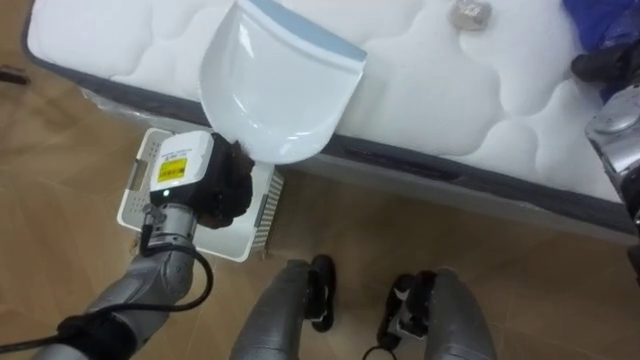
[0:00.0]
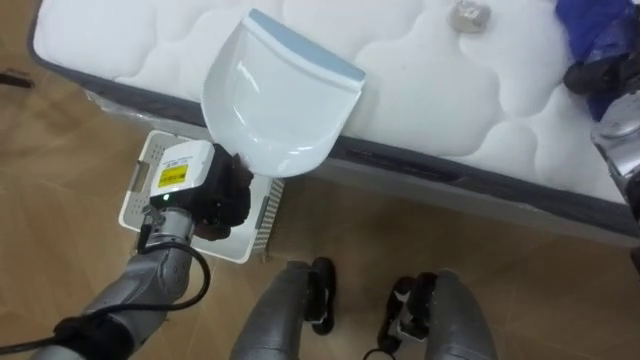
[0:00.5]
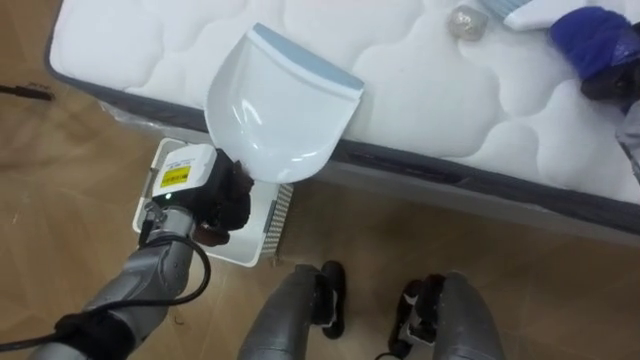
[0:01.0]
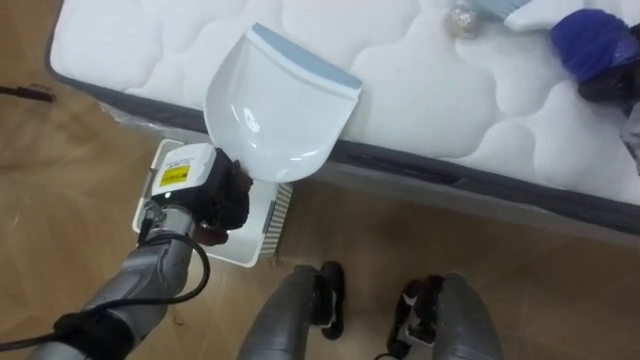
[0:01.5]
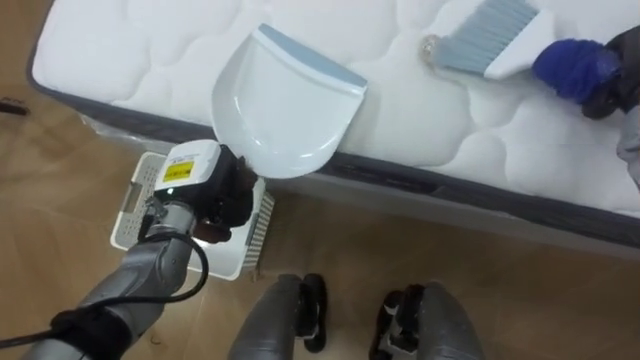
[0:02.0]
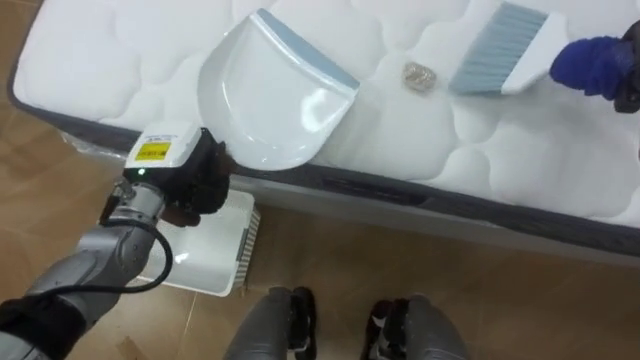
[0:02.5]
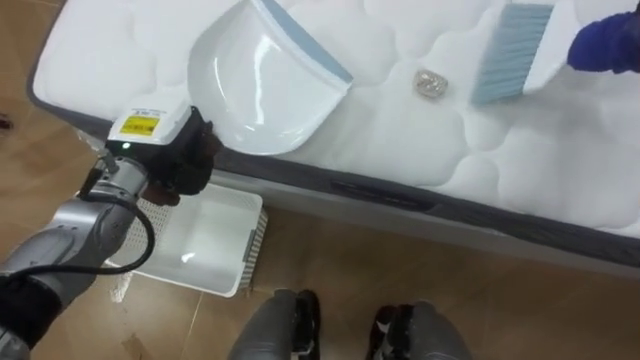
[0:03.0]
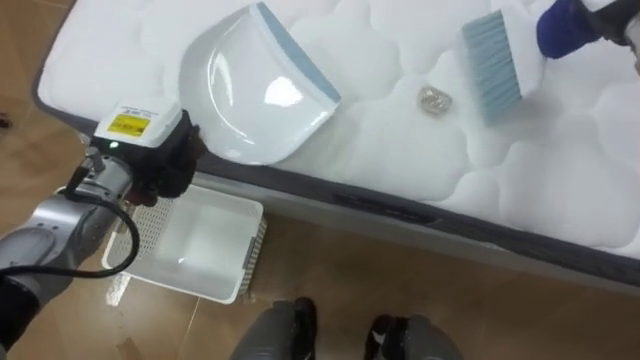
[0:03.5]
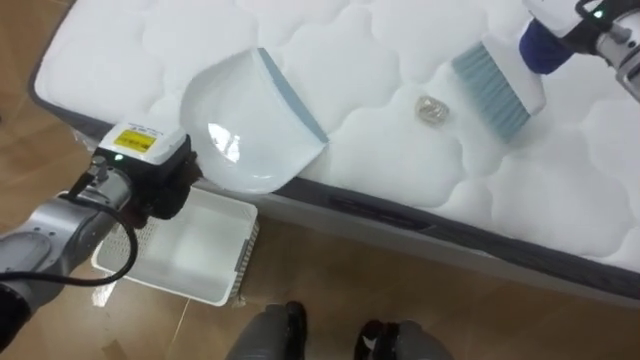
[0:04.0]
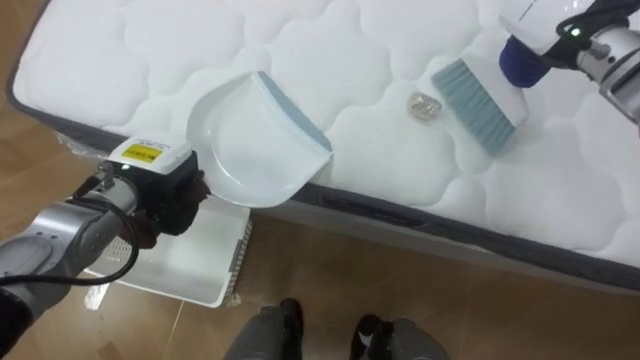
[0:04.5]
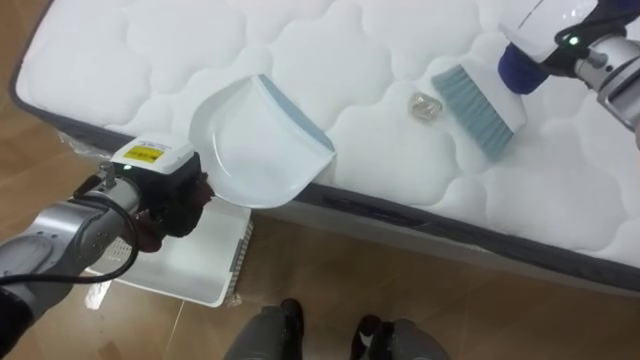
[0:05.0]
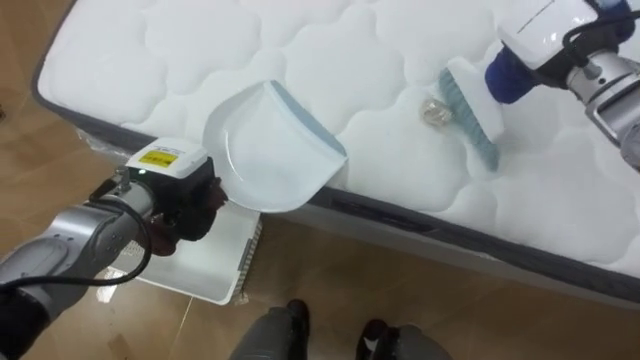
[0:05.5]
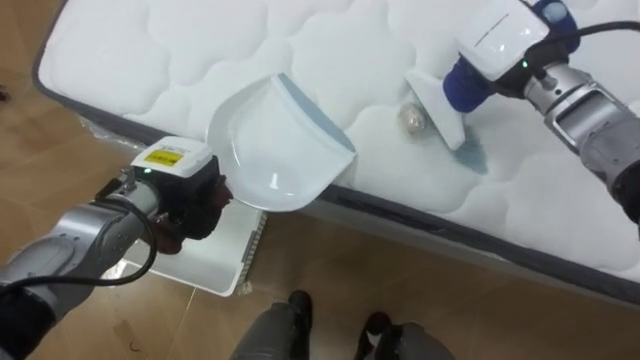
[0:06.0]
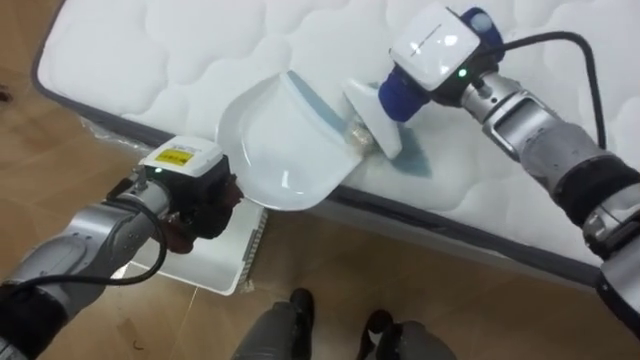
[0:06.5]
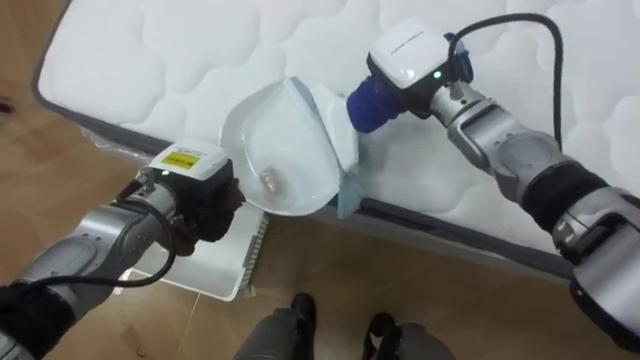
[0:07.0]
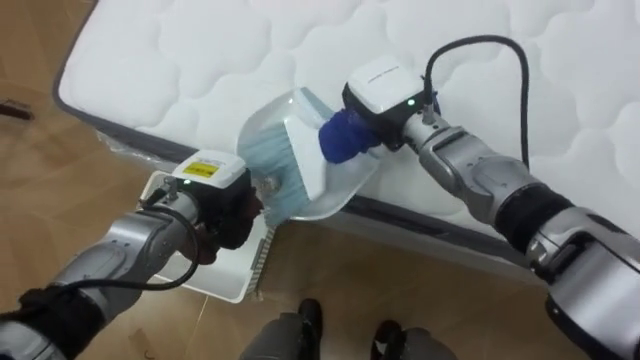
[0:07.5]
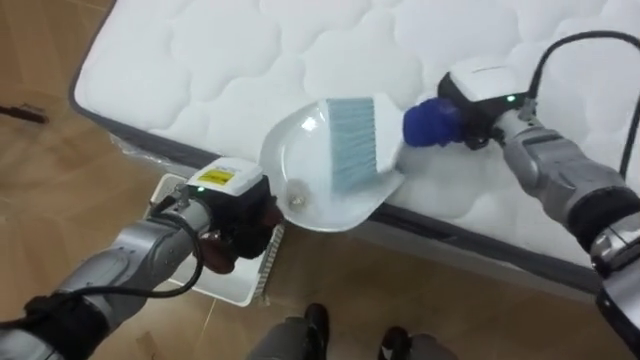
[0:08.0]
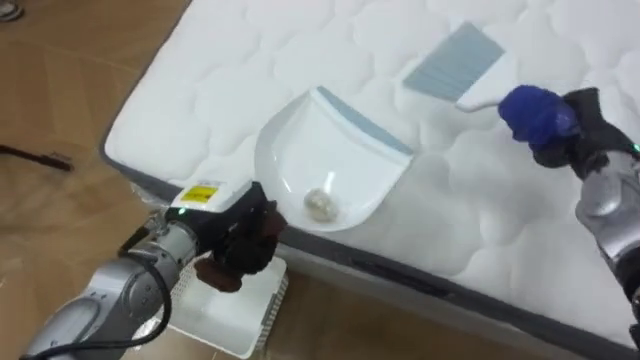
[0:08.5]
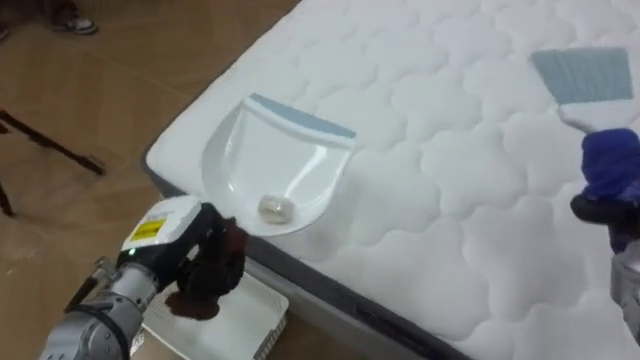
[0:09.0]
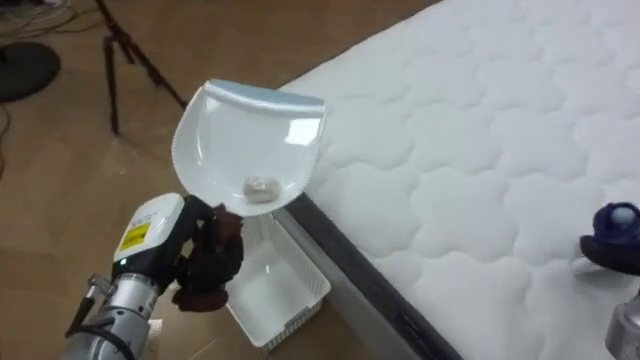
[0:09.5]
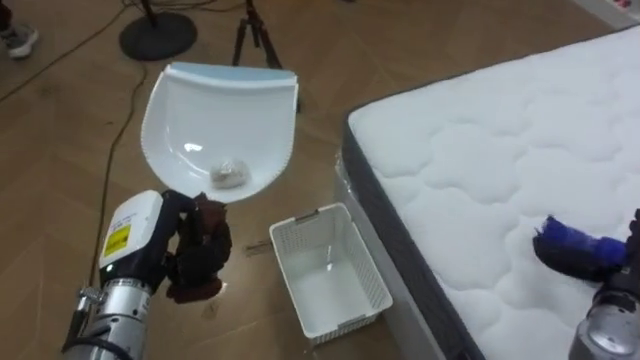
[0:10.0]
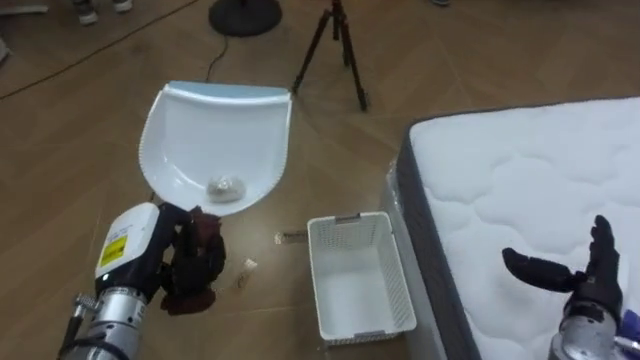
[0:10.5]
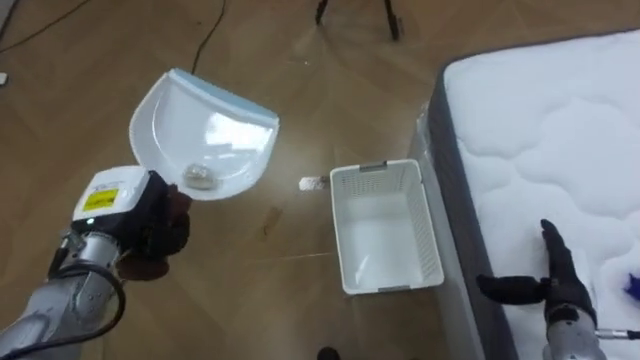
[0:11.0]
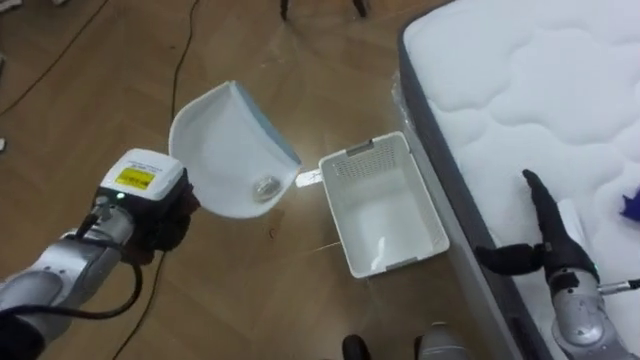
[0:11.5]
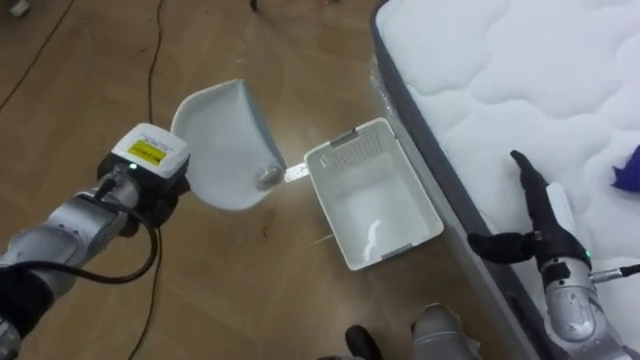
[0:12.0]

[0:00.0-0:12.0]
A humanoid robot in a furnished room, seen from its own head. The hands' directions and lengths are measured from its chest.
Task of the whole recording: Pick up the brush on your right and the dustpan on your left. Use the brush to sweep the crumpled paper on the bed into the dustpan, then turn left and empty it into the basket.
0:02.0 to 0:04.0: The left hand shifts some 5 cm to the left.
0:06.0 to 0:08.0: The left hand moves to the right, roughly 5 cm; the right hand shifts approximately 5 cm downward, and reaches about 15 cm to the left, then returns.
0:08.0 to 0:10.0: The robot faces about 50 degrees further to its left. The left hand goes about 10 cm to the left and backward.
0:10.0 to 0:12.0: The left hand travels forward by some 10 cm; the right hand goes approximately 10 cm to the left and forward.

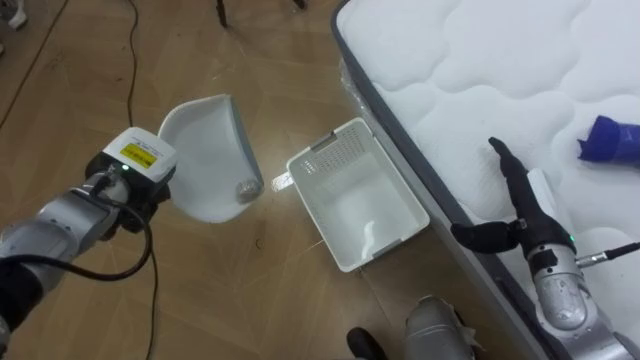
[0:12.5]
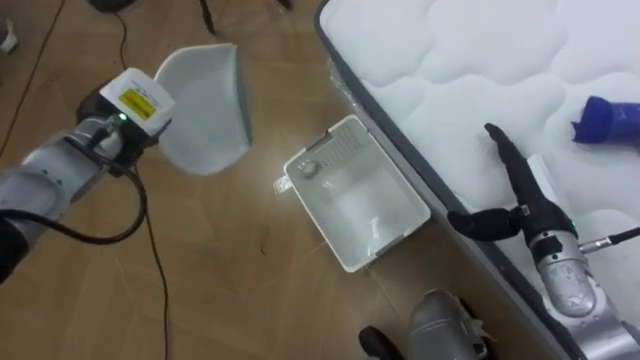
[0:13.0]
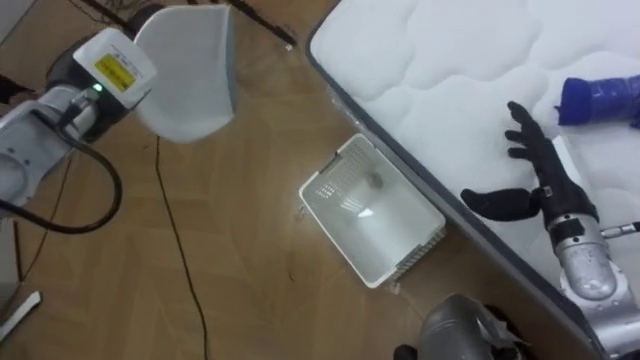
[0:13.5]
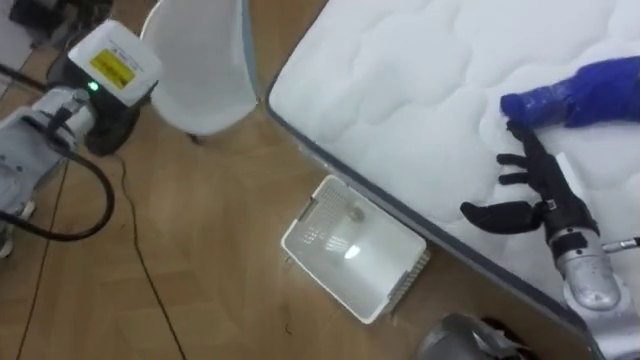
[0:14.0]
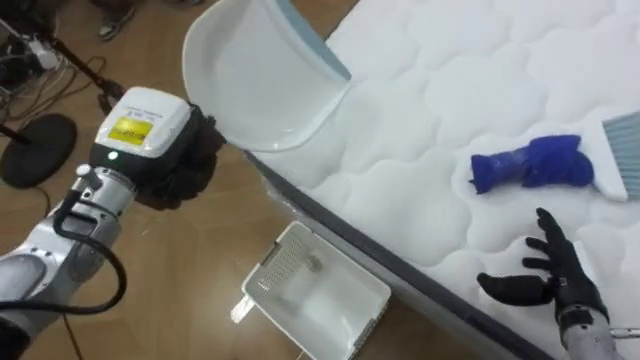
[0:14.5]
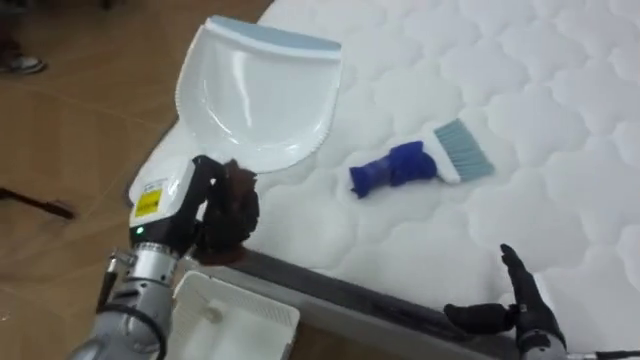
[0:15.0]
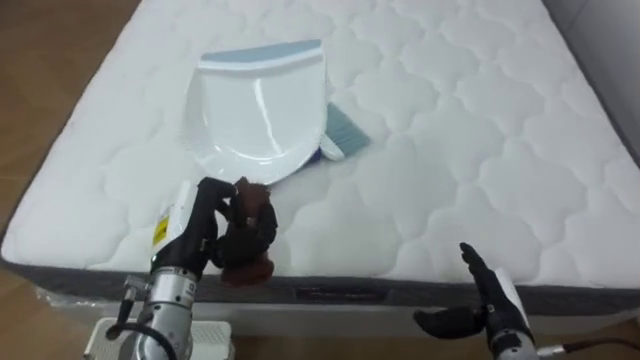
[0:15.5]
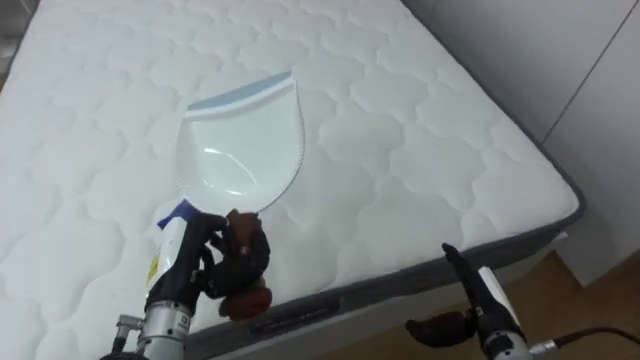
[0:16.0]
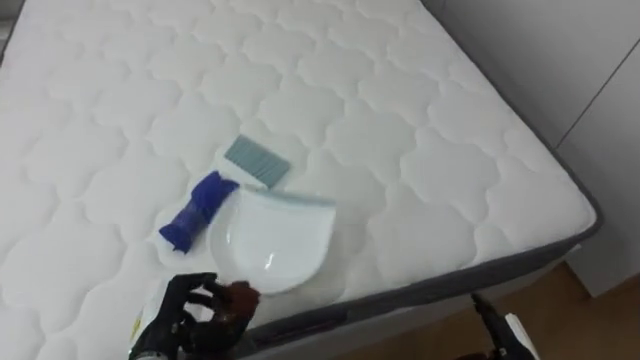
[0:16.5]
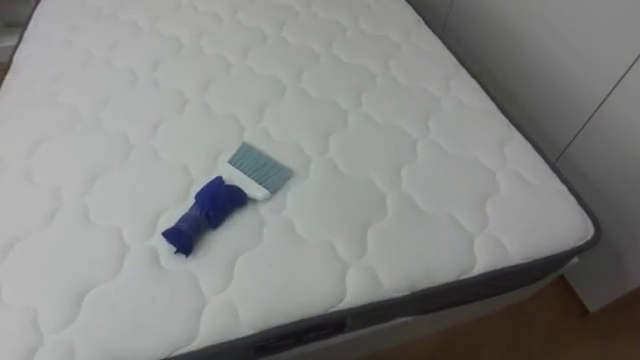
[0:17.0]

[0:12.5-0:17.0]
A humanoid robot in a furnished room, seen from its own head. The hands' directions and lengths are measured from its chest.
Task of the whole recording: Pick up the brush on your right and the dustpan on your left. Use the brush to sweep the crumpled paper on the bed into the dustpan, then turn left and empty it into the basket.
0:12.5 to 0:14.5: The robot faces approximately 30 degrees further to its right. The left hand goes about 10 cm upward; the right hand shifts roughly 10 cm backward and downward.
0:14.5 to 0:17.0: The robot's body swings approximately 70 degrees to its right.

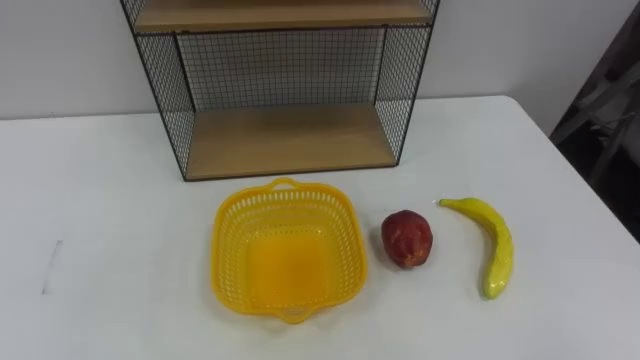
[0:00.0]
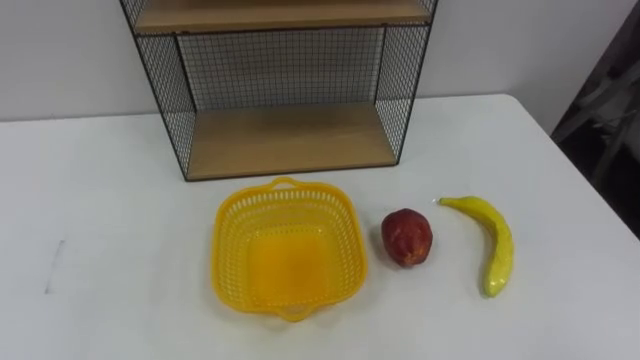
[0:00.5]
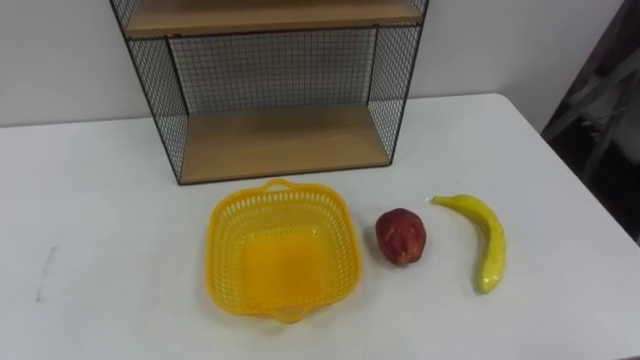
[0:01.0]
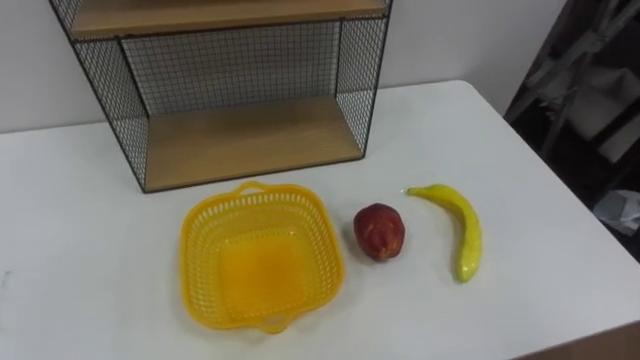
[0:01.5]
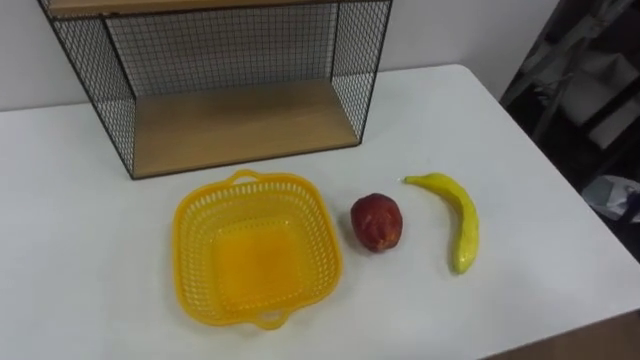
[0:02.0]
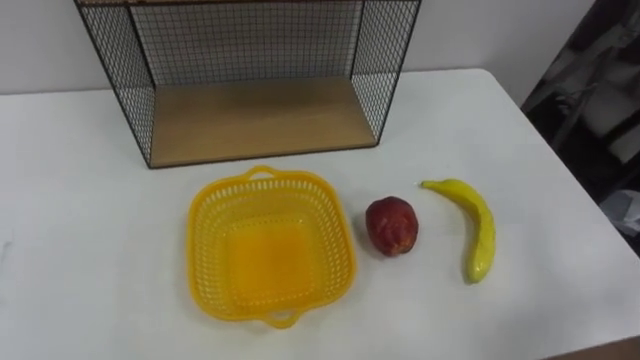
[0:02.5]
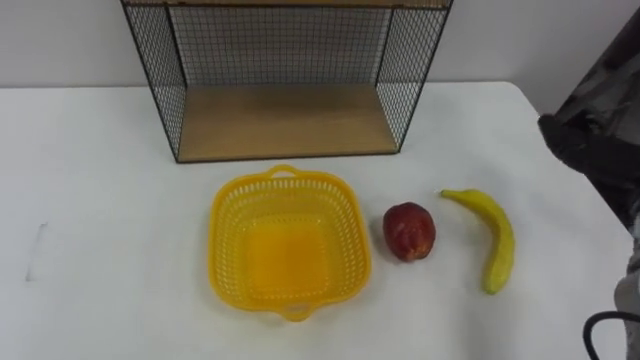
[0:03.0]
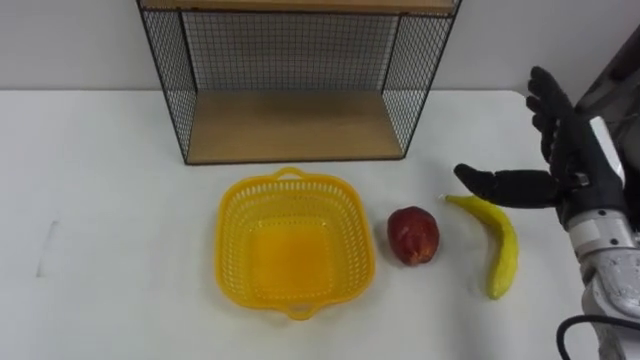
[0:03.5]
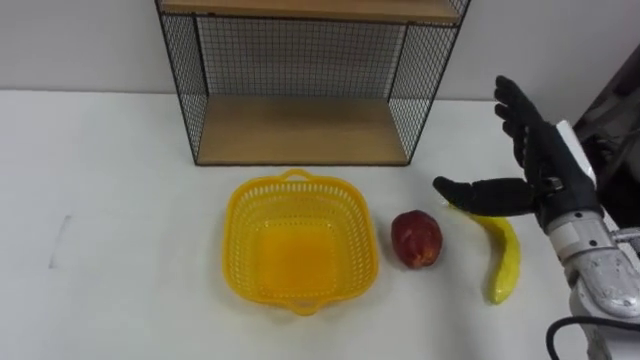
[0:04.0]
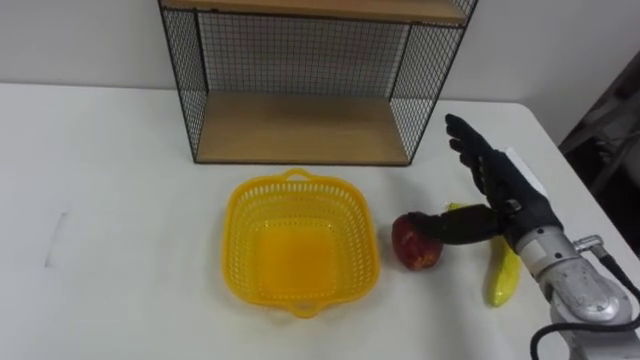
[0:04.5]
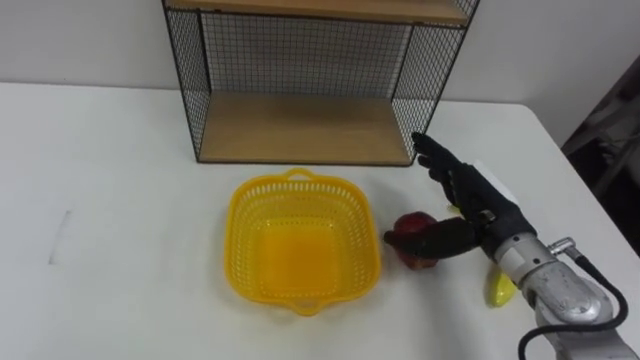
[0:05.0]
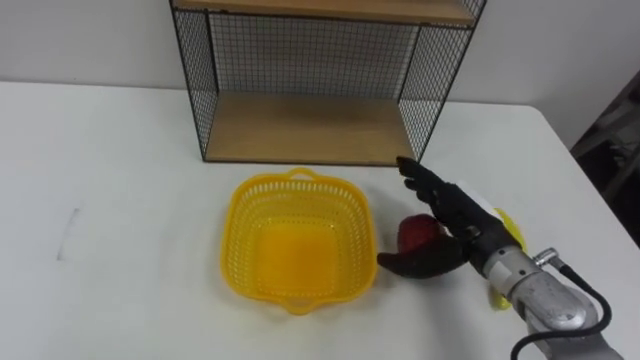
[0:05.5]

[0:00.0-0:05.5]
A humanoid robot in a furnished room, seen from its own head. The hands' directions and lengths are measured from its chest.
Task of the whole recording: Put the fruit on the table into the basket, then place the basket on the shelf.
0:03.5 to 0:05.5: The right hand is displaced to the left and downward by about 10 cm.
